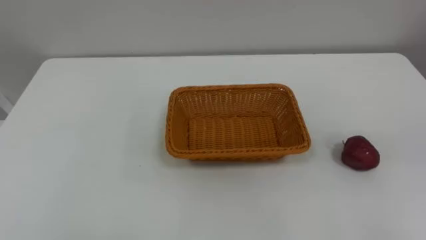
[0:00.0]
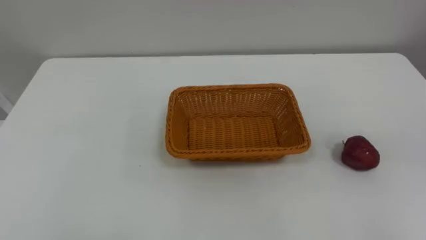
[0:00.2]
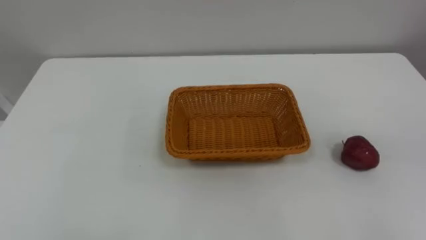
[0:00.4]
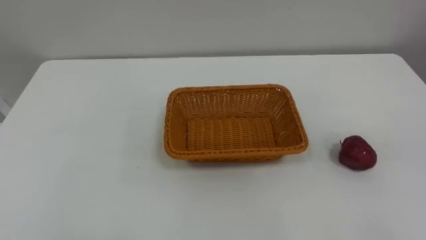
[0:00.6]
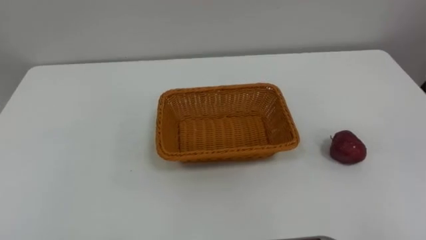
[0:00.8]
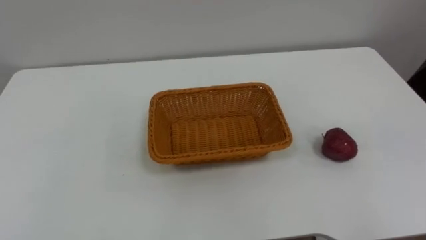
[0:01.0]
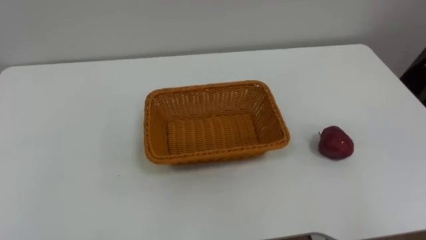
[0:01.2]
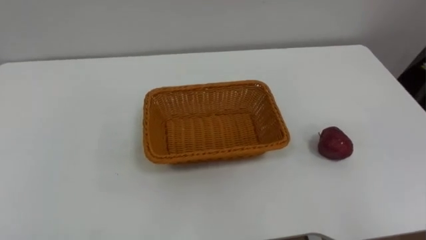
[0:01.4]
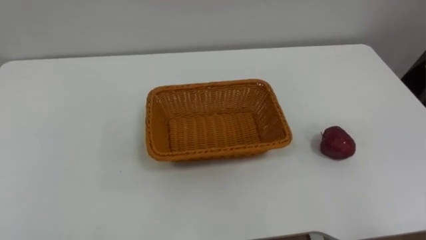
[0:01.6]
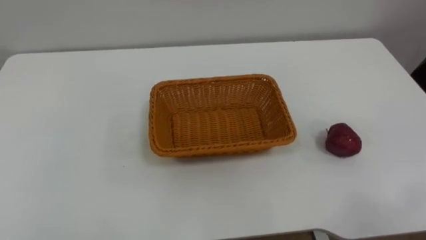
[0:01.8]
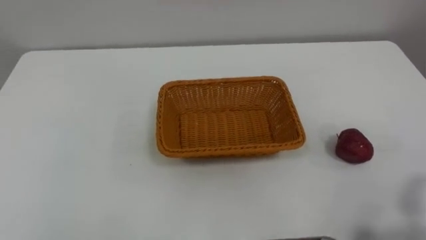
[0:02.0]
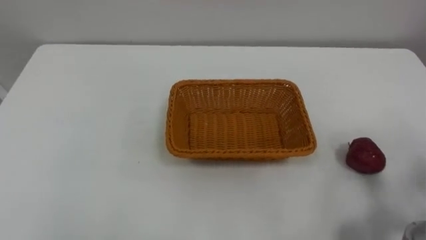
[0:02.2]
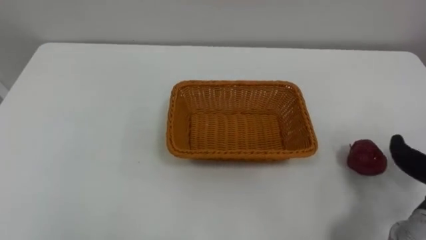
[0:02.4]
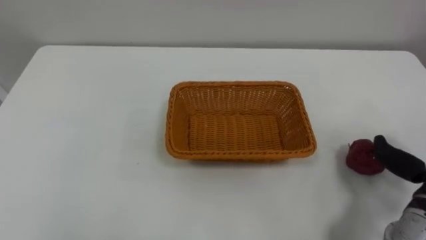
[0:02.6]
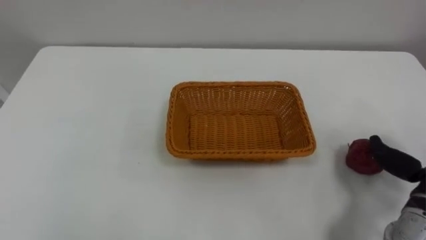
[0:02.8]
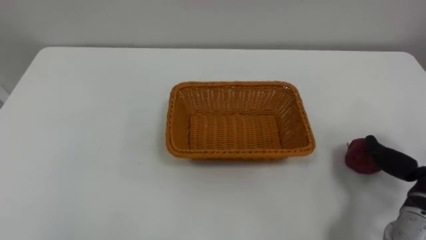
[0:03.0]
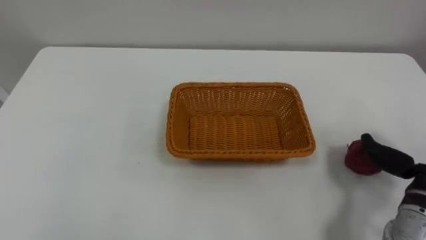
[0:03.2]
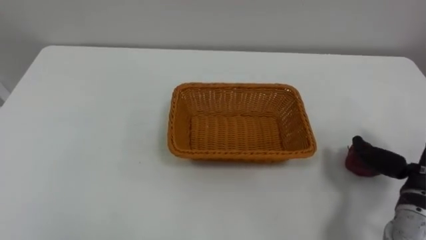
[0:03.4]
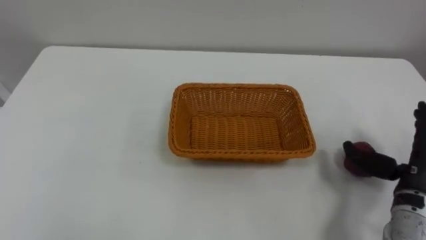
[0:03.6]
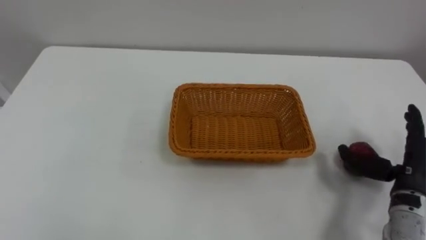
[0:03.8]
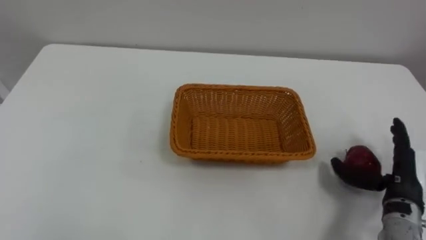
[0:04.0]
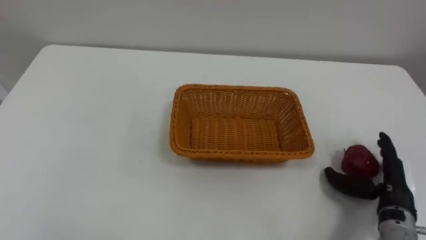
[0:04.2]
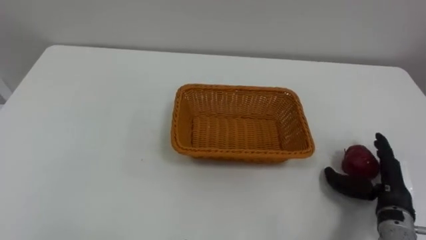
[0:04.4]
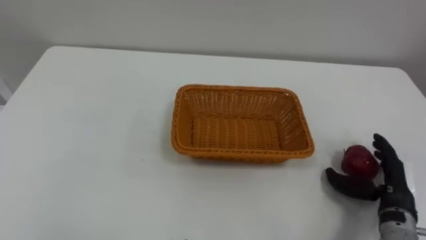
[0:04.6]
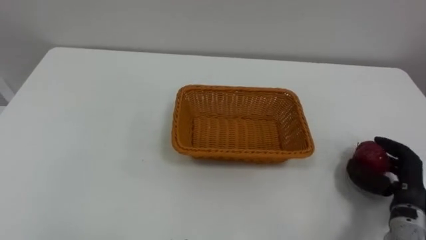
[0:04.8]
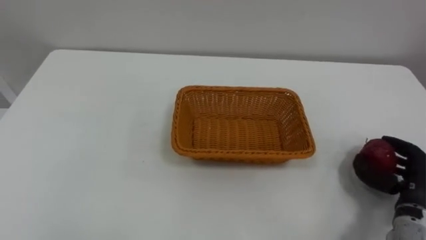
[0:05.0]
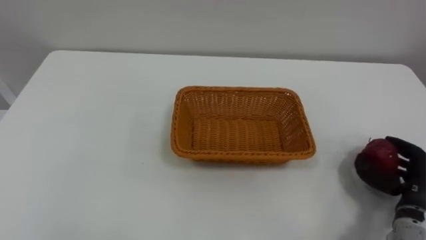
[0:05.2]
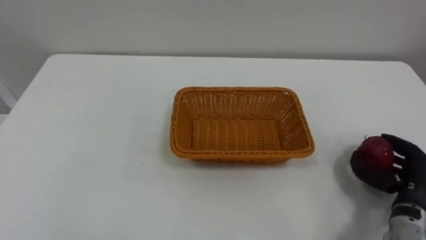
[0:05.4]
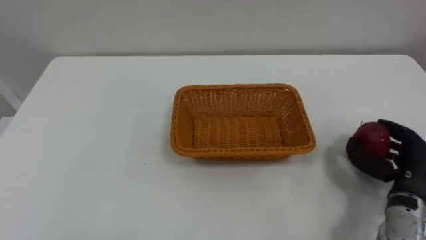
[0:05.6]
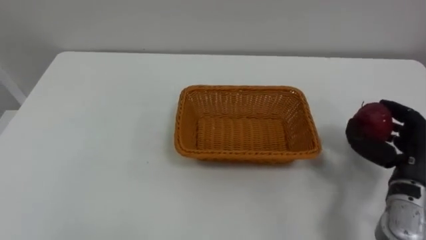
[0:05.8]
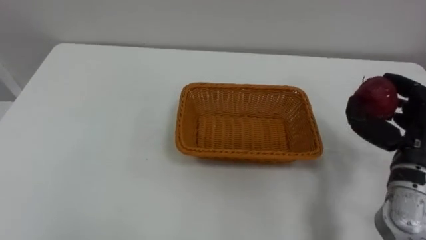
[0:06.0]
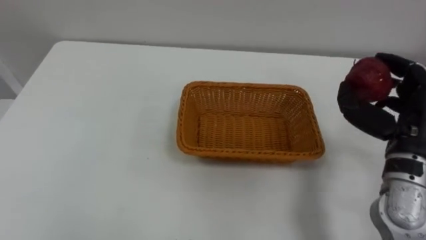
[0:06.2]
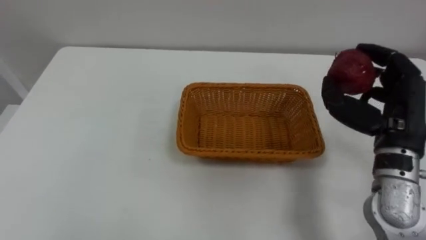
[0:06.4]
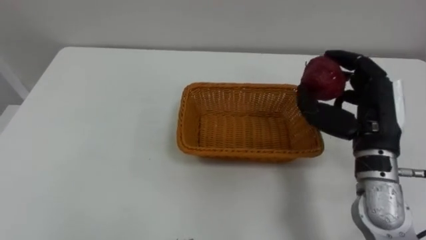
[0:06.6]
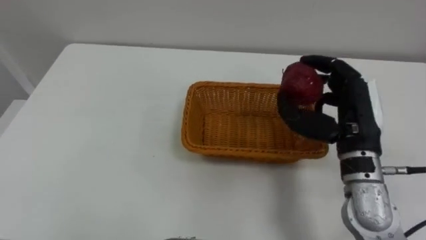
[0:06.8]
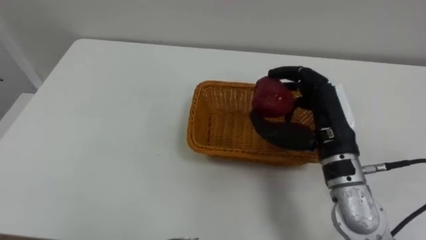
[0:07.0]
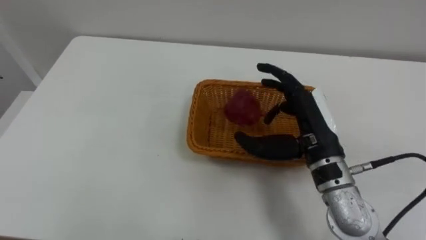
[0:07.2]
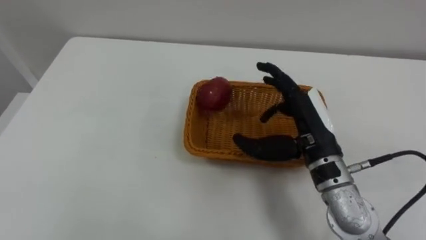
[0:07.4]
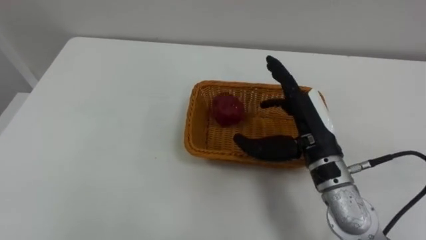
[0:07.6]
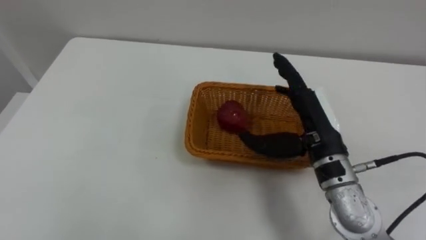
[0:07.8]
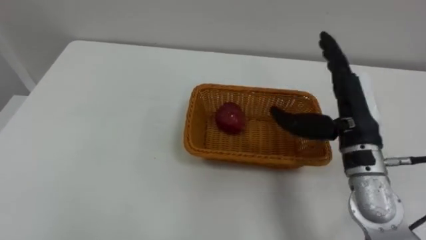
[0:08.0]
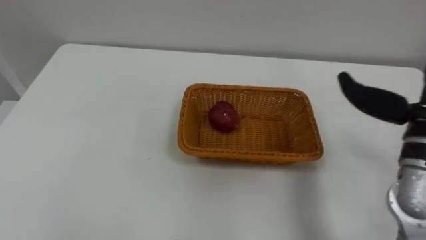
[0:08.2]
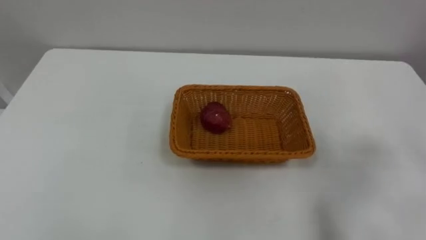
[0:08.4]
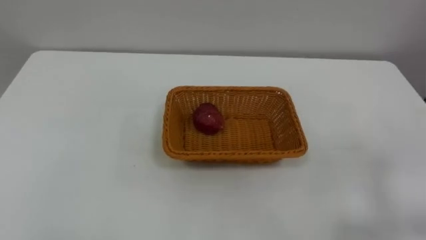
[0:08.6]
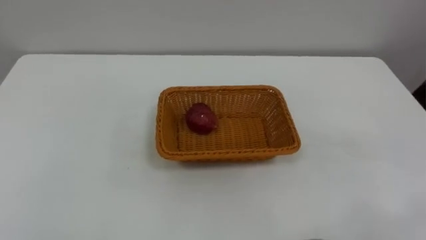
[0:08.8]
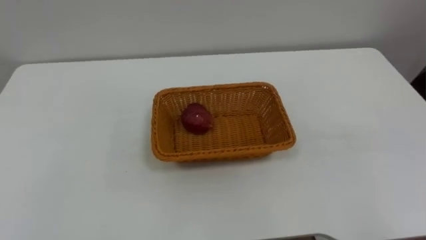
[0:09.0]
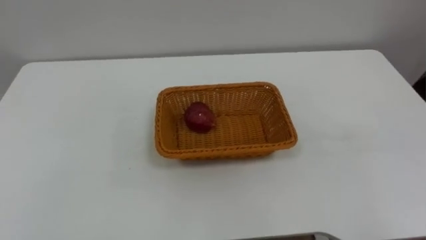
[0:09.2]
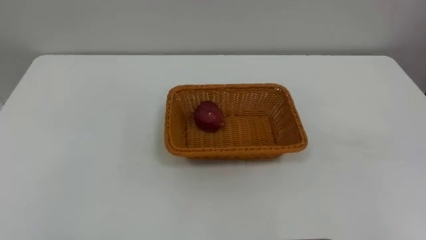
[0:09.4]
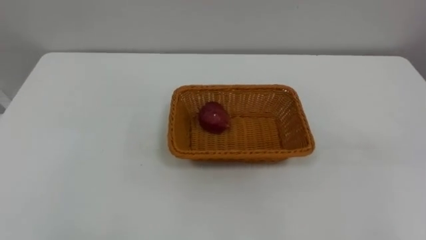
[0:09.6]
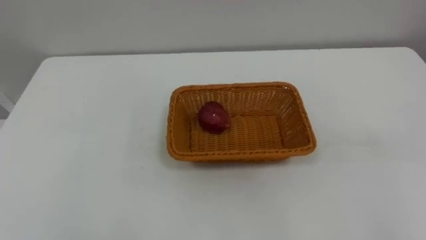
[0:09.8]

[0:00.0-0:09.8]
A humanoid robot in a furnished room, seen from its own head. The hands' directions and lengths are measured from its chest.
Task of the whole recording: Pick the apple and place it in the box.
0:04.2 to 0:05.6: The right hand closes.
0:05.6 to 0:07.0: The right hand is displaced to the left and upward by roughly 20 cm.

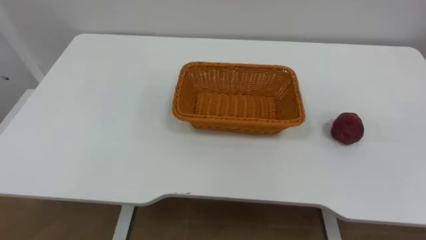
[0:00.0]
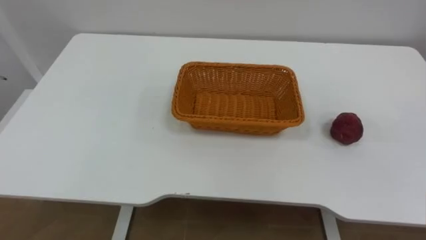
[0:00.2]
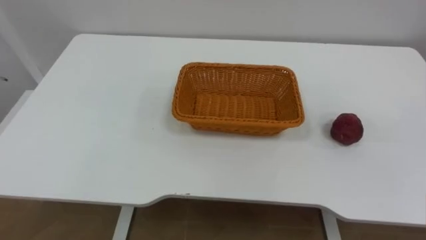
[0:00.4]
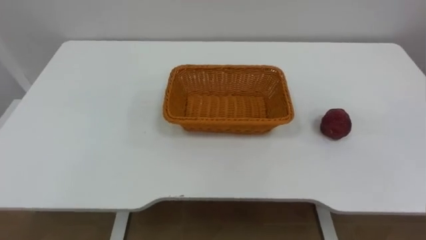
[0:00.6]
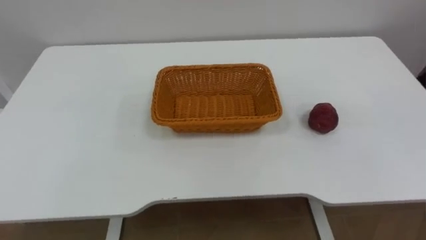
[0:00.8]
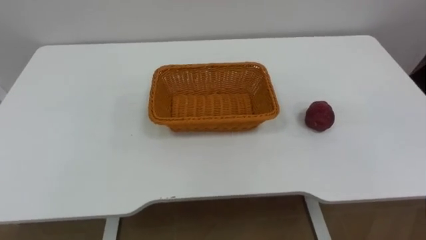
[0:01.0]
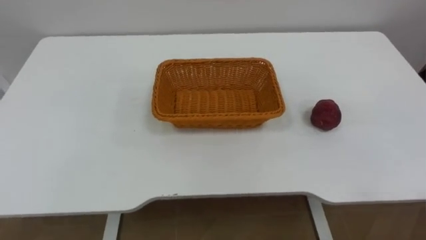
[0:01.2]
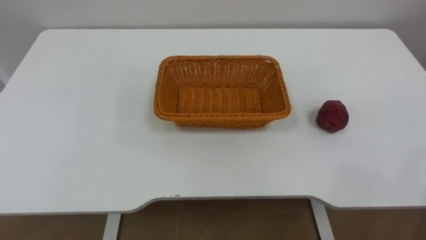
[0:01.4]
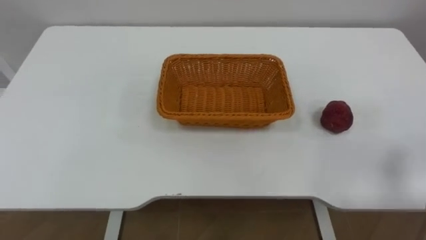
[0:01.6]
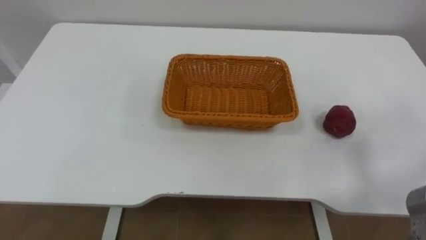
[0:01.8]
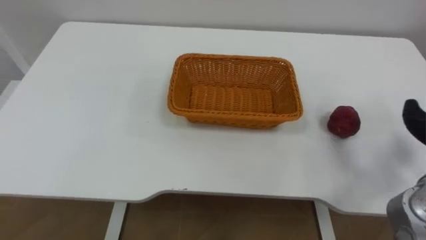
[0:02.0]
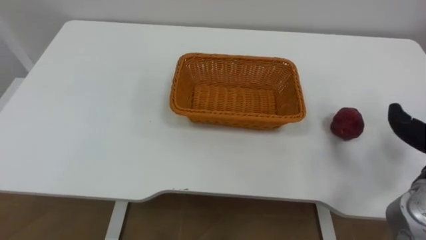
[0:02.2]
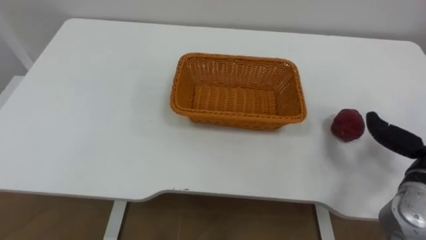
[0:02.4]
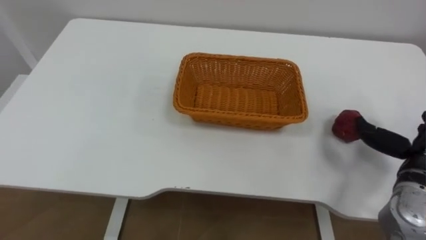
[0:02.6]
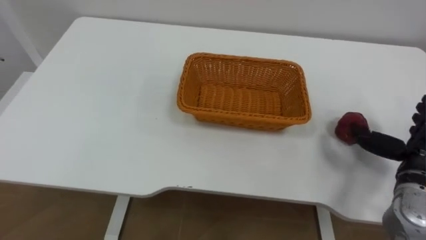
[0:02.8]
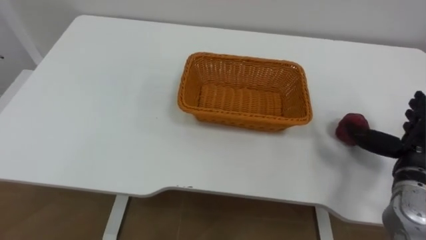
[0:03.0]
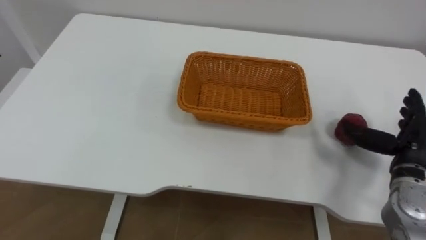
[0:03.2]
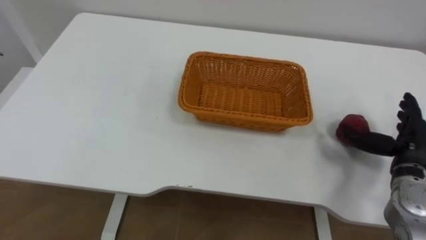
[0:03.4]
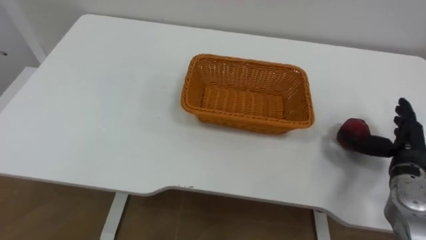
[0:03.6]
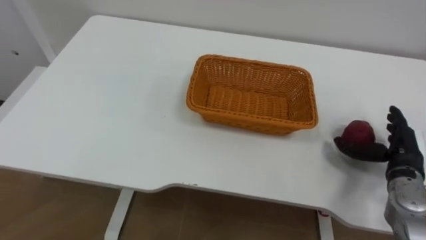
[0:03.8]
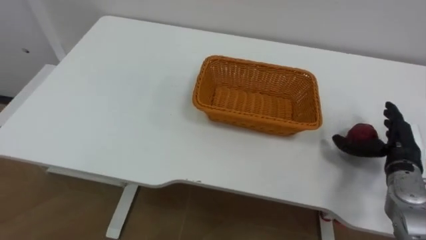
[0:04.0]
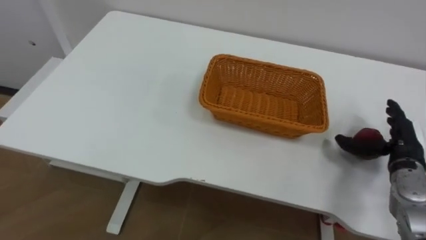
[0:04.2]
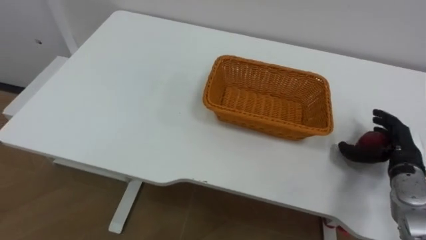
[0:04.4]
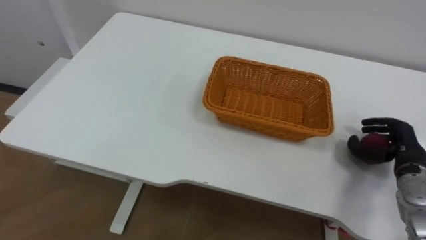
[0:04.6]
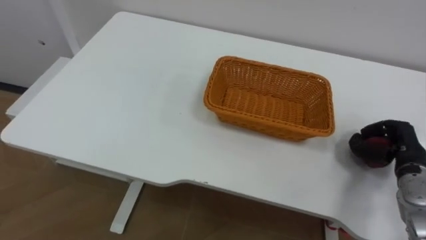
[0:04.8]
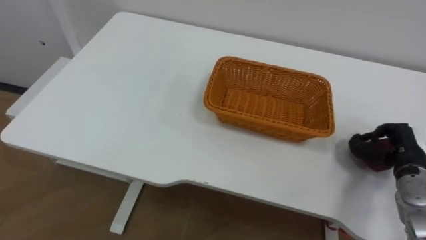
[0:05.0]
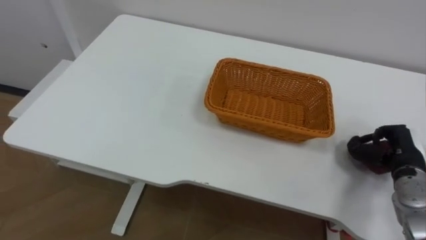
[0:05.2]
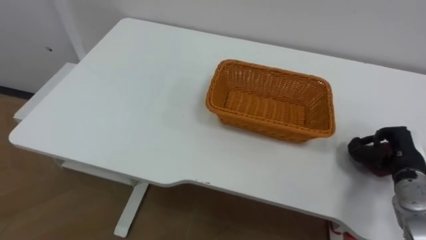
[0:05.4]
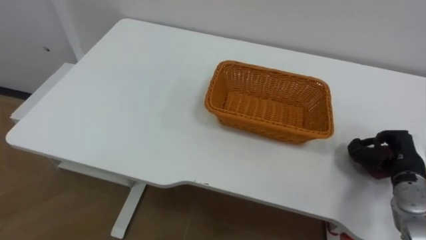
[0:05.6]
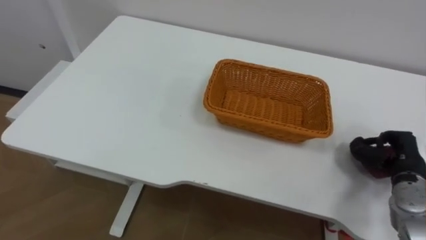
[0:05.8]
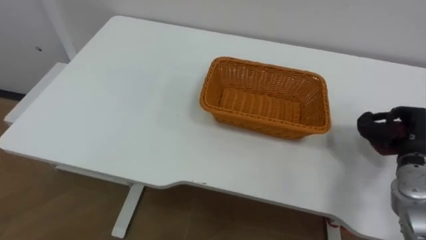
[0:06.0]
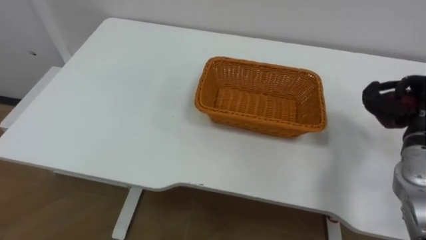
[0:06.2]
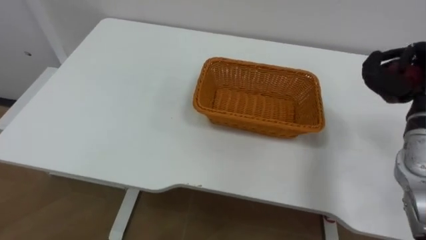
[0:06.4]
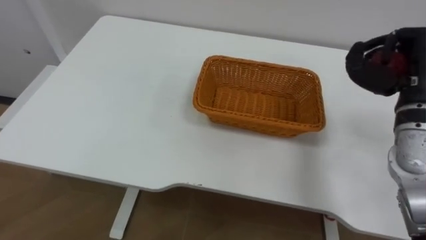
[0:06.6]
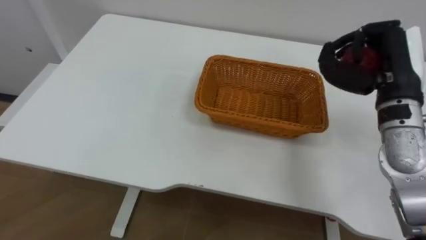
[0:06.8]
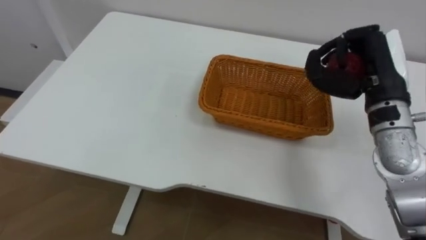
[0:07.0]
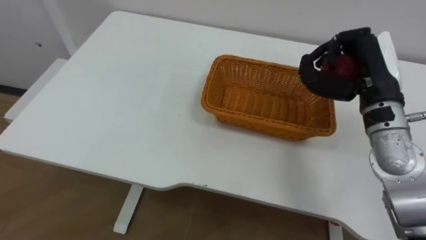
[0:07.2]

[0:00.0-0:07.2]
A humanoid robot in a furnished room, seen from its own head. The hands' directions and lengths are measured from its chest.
Task of the whole recording: Pick the apple and place it in the box.
0:02.8 to 0:04.4: The right hand moves some 5 cm.
0:04.4 to 0:05.8: The right hand closes.
